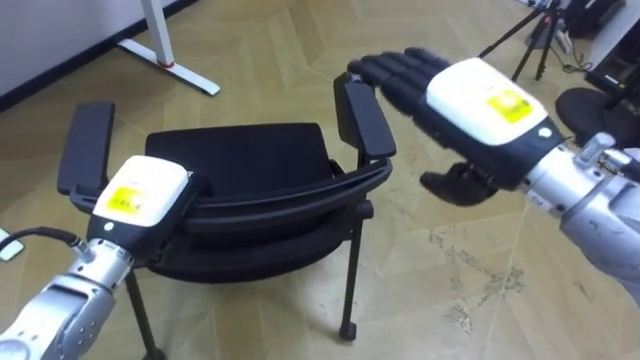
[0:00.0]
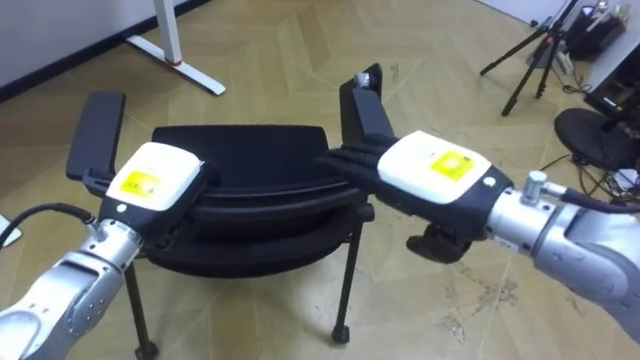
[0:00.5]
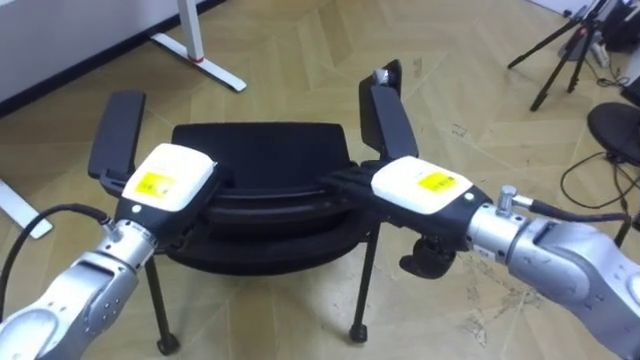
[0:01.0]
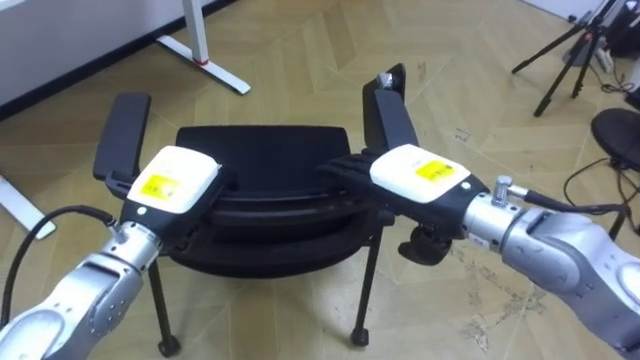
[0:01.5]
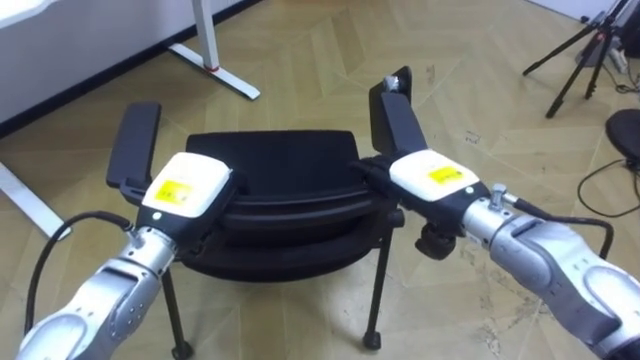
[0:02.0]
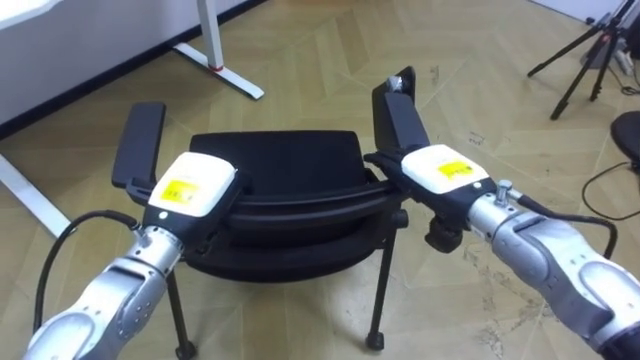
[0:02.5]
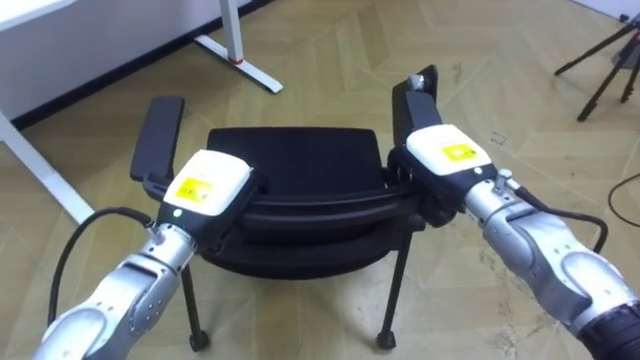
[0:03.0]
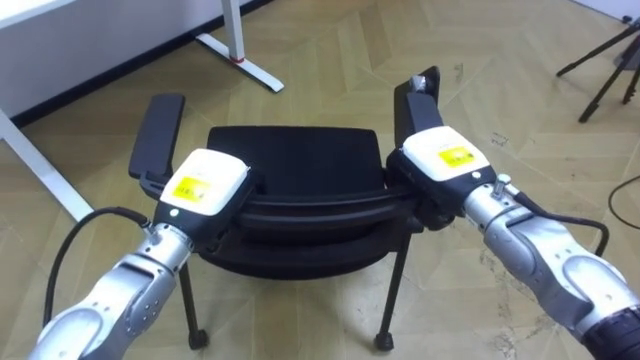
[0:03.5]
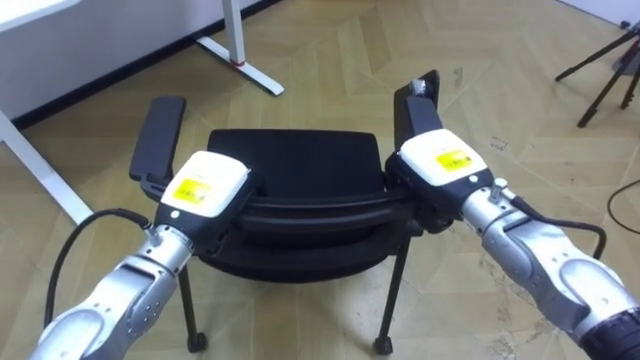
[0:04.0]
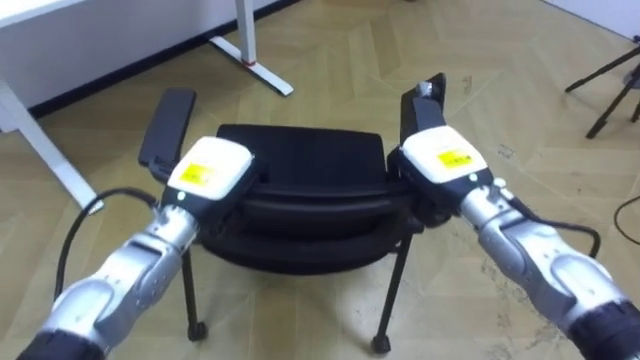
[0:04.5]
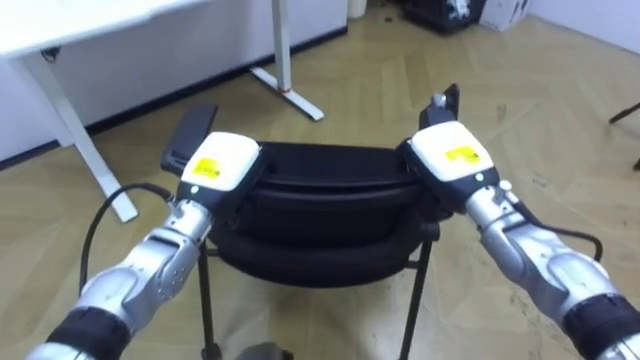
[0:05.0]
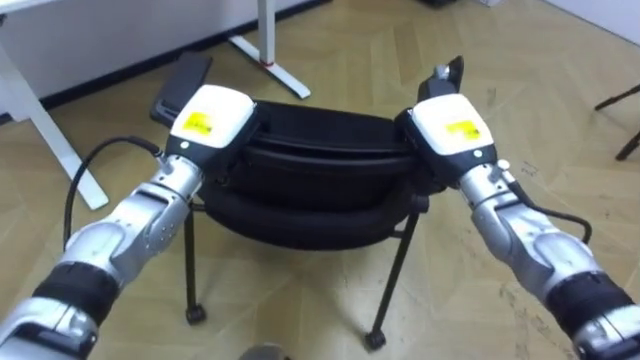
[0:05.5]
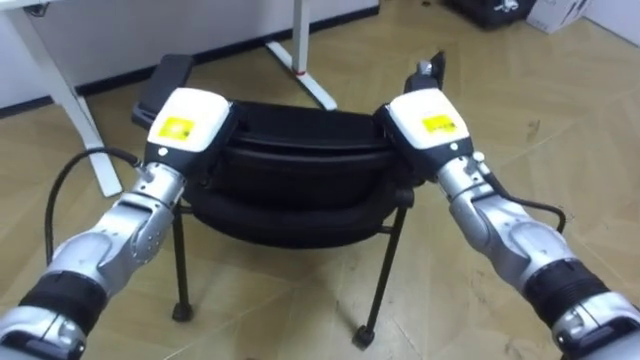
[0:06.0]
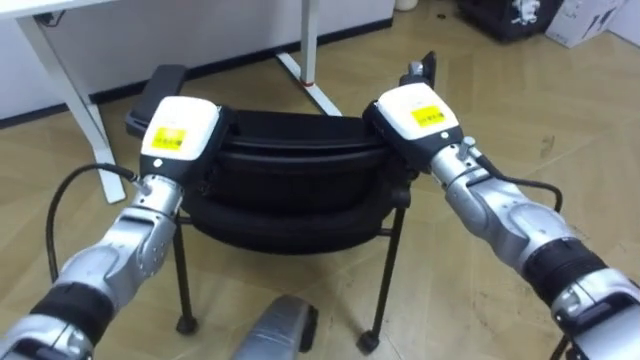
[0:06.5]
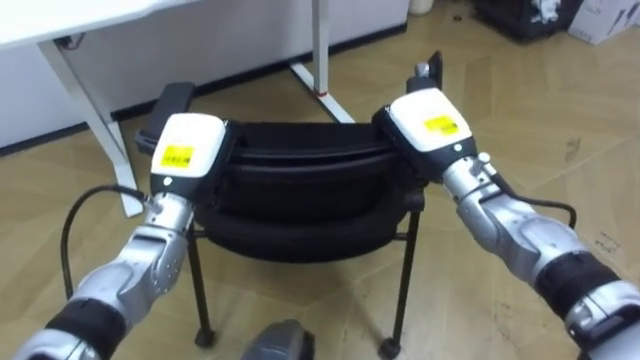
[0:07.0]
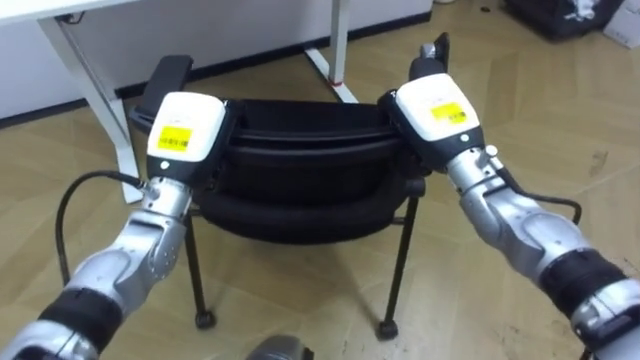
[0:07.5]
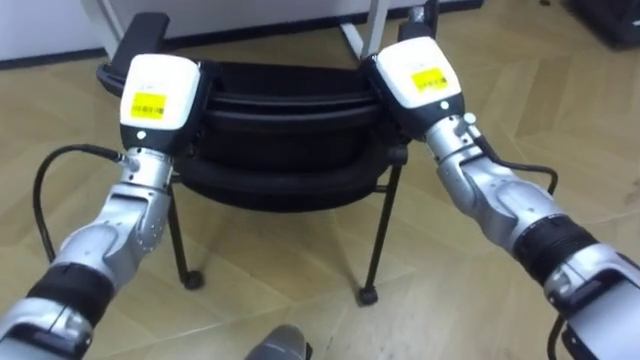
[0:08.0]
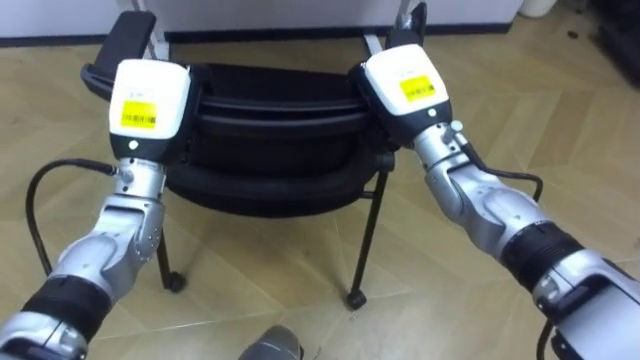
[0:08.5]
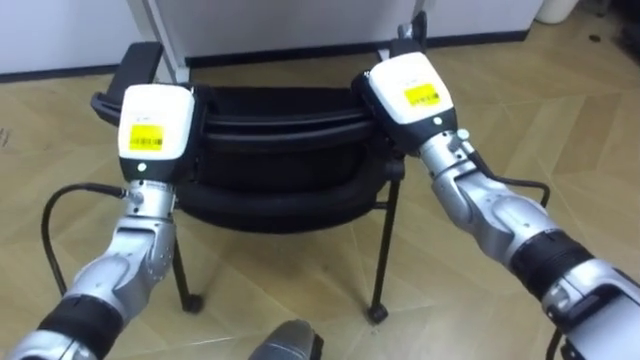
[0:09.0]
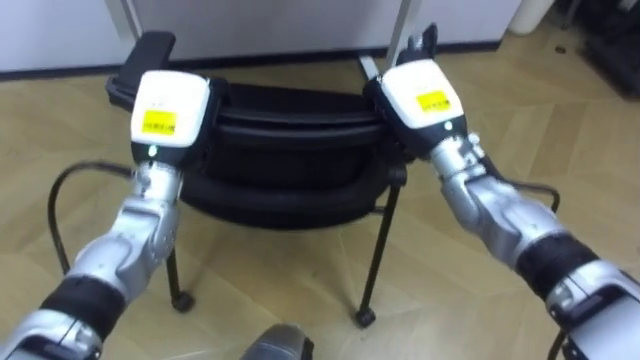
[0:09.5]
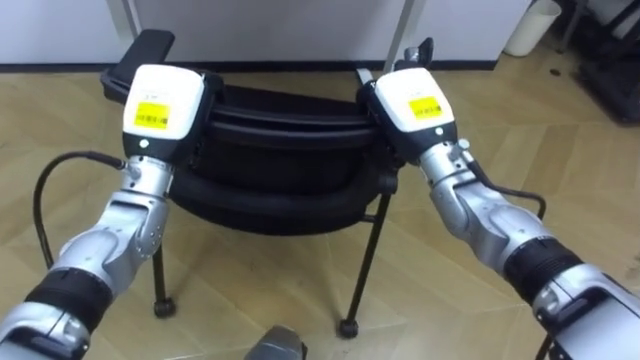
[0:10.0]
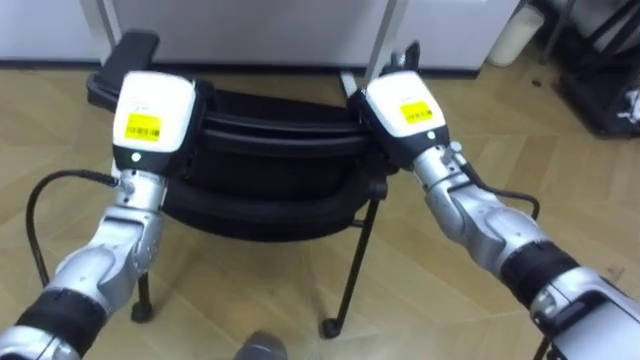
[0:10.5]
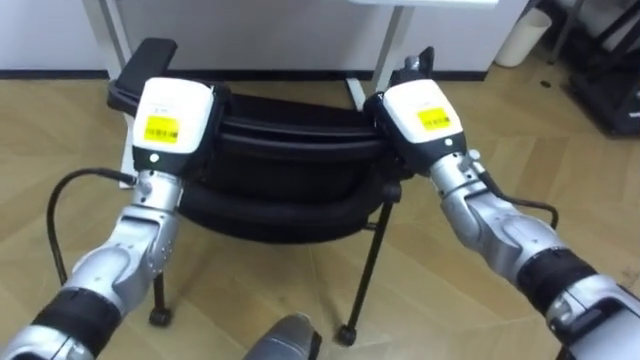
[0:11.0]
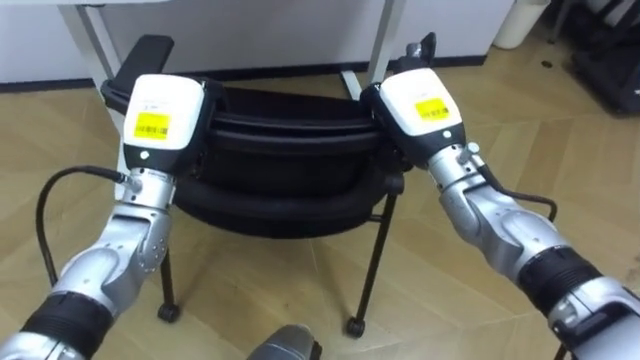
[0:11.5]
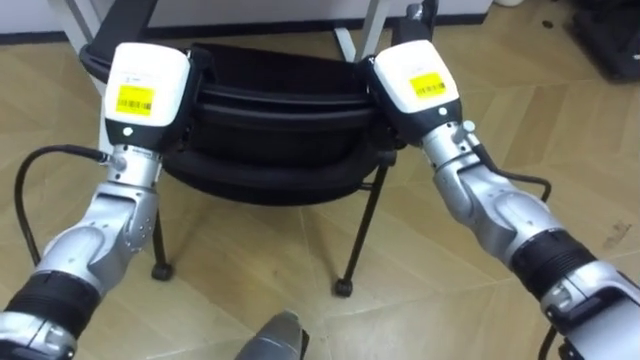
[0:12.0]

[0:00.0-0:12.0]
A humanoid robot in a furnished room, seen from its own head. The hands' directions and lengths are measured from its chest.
Task of the whole recording: Push the chair under the table.
0:00.0 to 0:02.0: The left hand shifts by some 5 cm. Meanwhile the right hand travels downward by about 15 cm.
0:02.0 to 0:04.0: The right hand closes up.
0:04.0 to 0:06.0: The left hand shifts approximately 5 cm forward.
0:06.0 to 0:08.0: The right hand heads upward, covering about 5 cm.

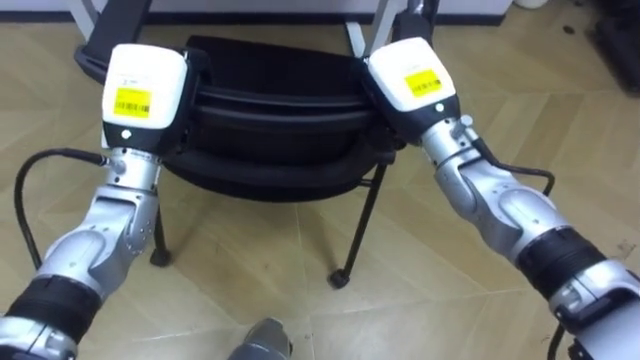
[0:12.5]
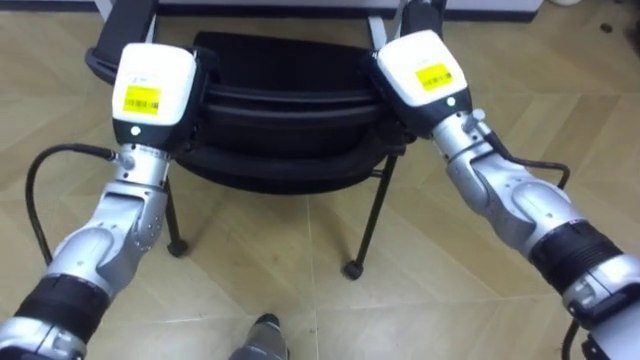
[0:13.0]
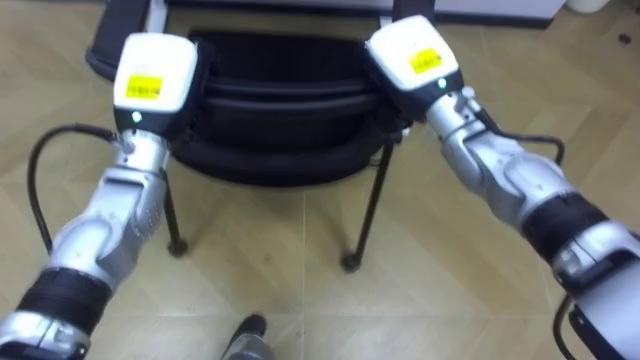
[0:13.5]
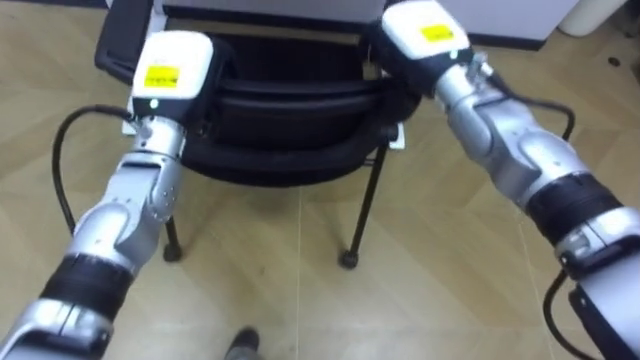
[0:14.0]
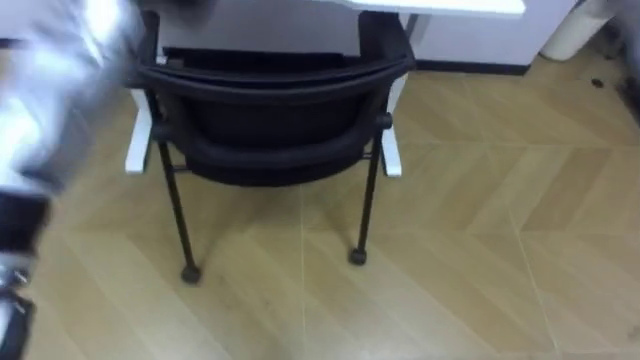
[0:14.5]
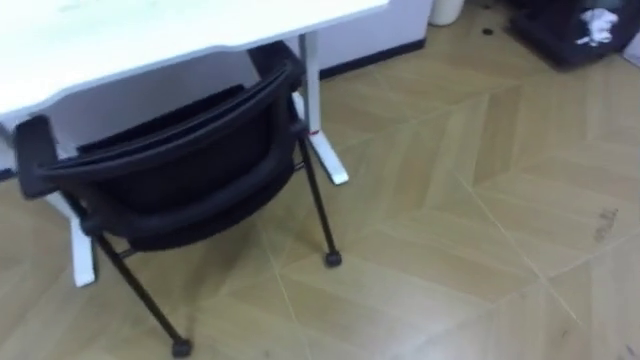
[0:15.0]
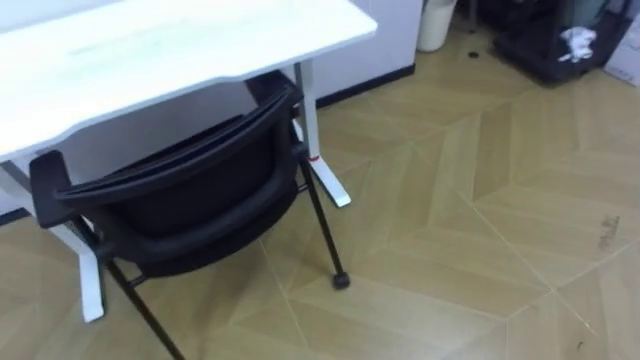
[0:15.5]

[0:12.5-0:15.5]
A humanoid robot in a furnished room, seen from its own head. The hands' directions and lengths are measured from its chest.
Task of the whole recording: Push the chair under the table.
0:12.5 to 0:14.0: The left hand opens up. Meanwhile the right hand moves some 5 cm, and opens.

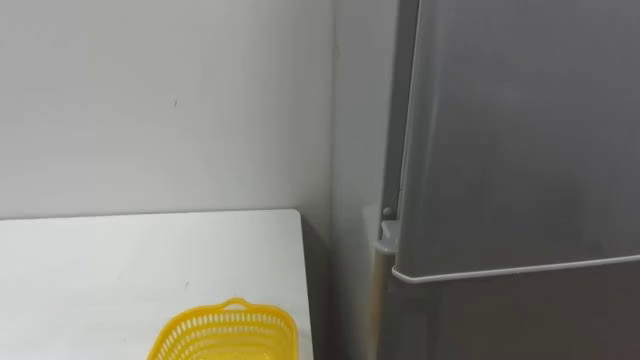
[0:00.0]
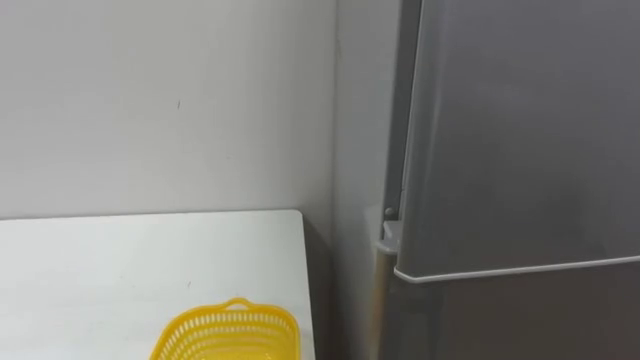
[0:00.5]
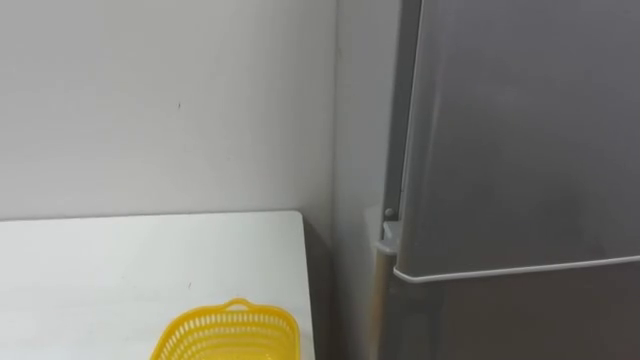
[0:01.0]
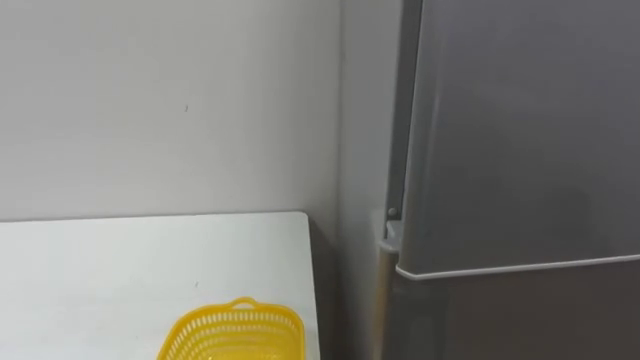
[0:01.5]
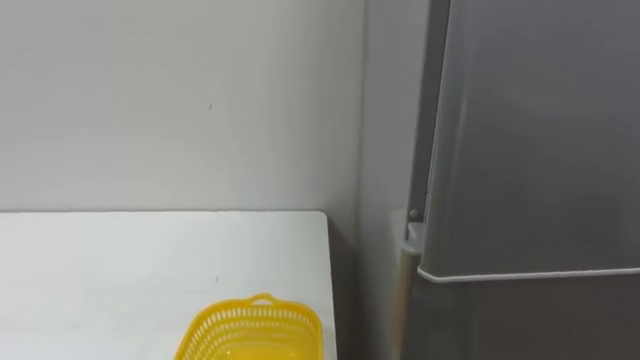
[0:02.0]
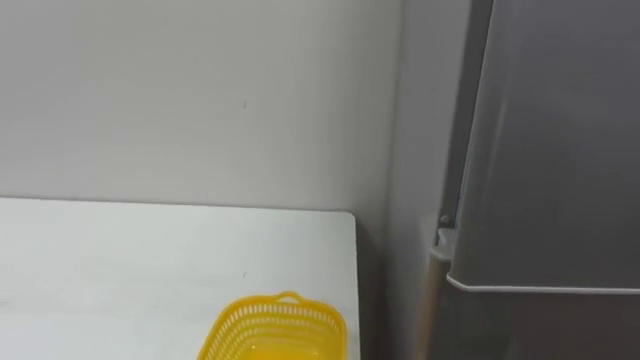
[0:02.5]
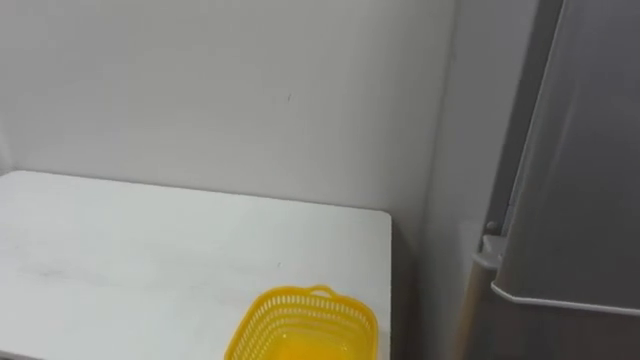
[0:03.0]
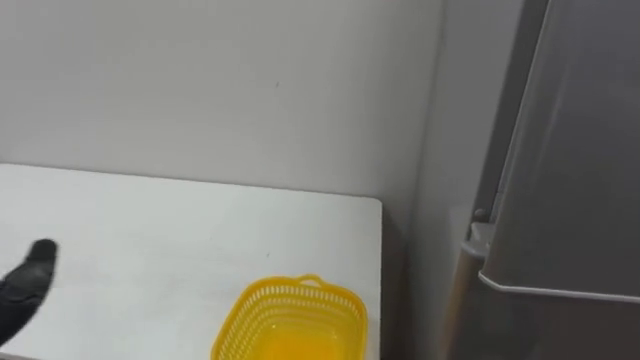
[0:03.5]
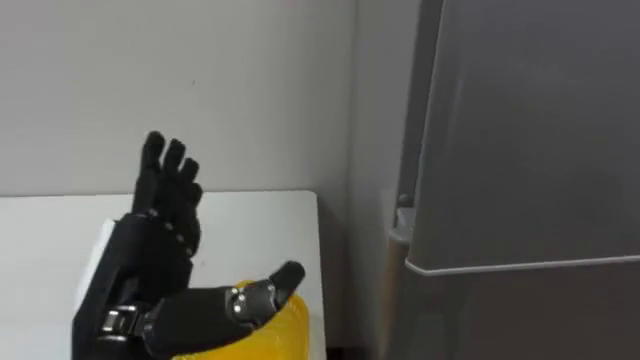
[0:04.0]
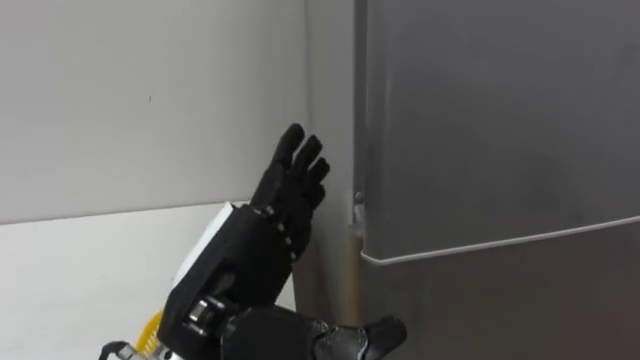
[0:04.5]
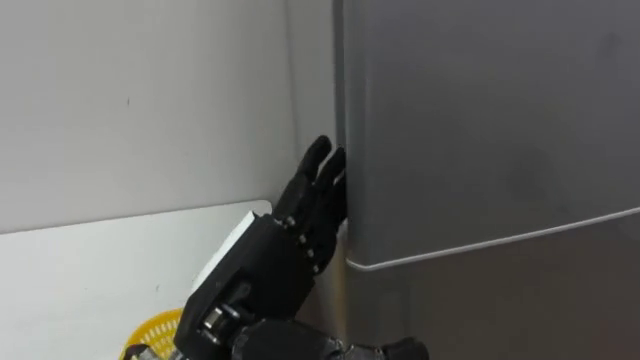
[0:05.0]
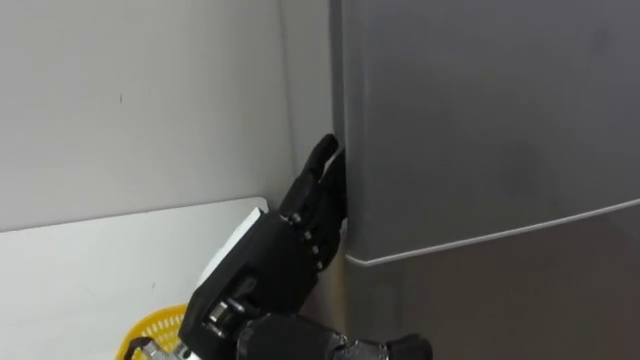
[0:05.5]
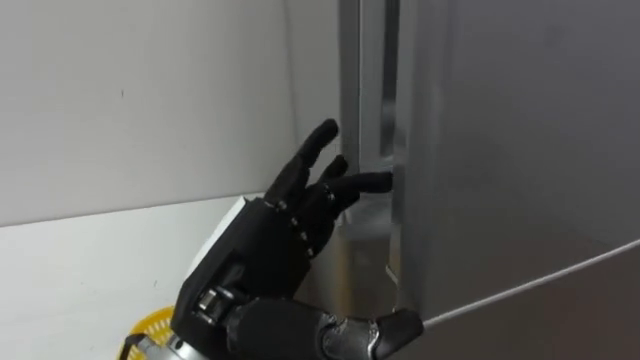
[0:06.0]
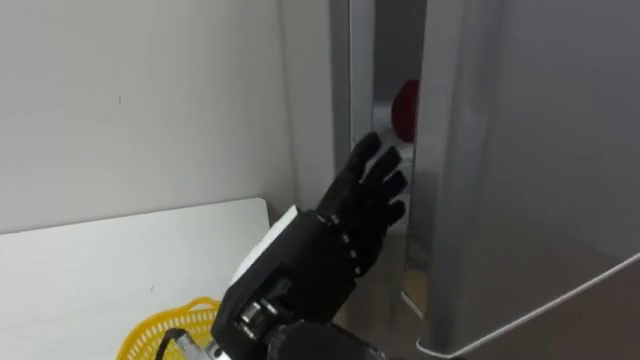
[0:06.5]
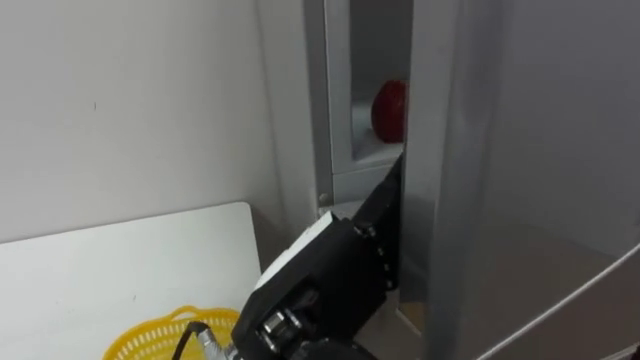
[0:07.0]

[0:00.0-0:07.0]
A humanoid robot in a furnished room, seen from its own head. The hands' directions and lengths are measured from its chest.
Task of the whole recording: Open the refrigerator door, take out the apple and the pomegranate, place them in the fruit basket on the left, and close the refrigerator door.
0:05.0 to 0:07.0: The left hand shifts by roughly 5 cm.
